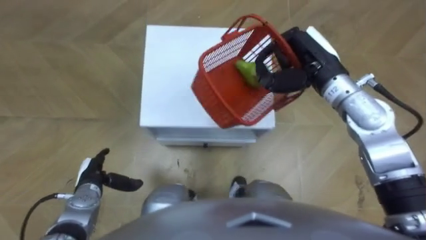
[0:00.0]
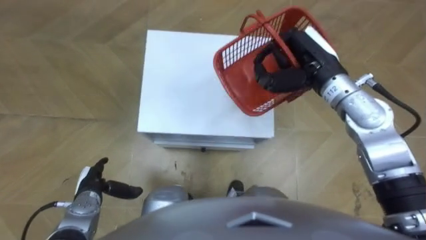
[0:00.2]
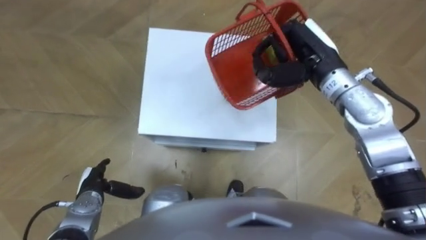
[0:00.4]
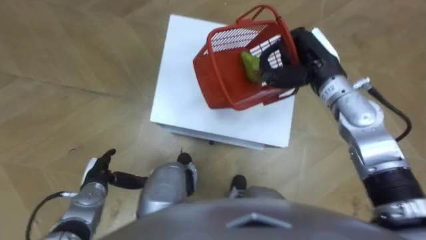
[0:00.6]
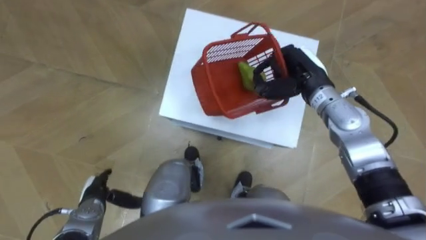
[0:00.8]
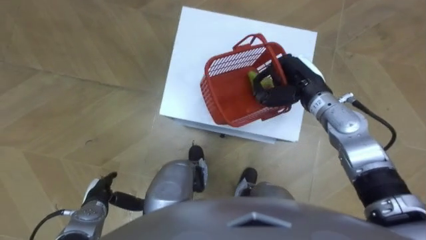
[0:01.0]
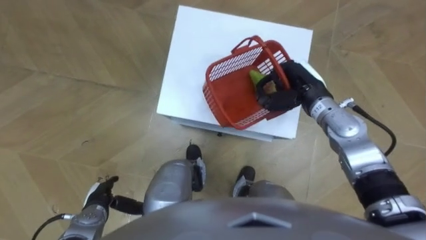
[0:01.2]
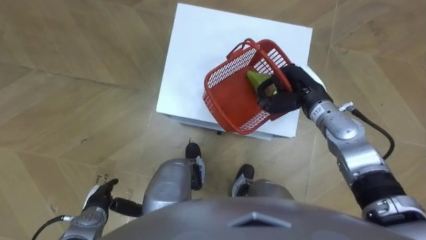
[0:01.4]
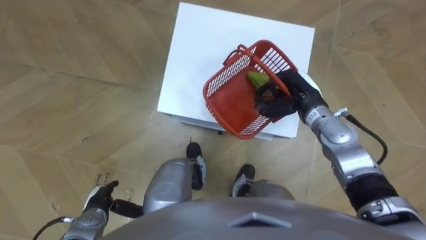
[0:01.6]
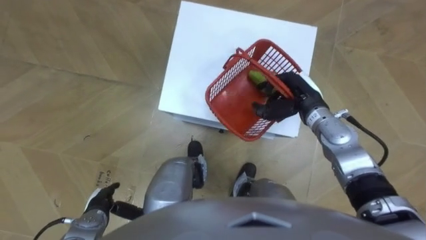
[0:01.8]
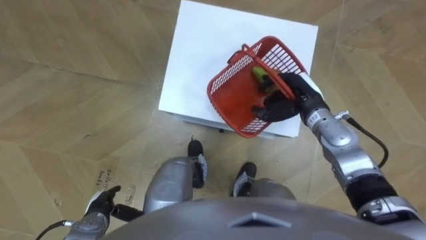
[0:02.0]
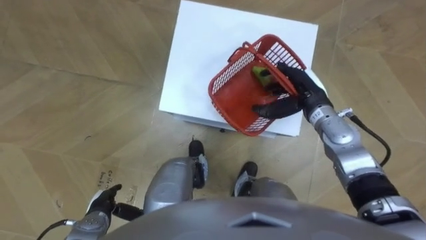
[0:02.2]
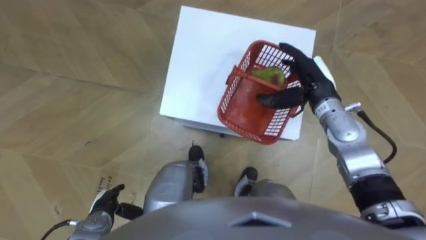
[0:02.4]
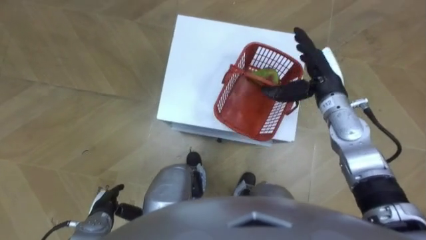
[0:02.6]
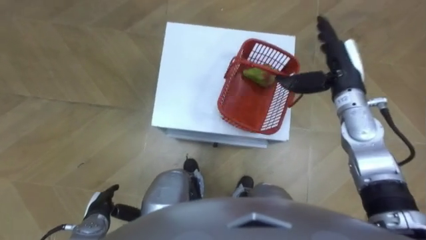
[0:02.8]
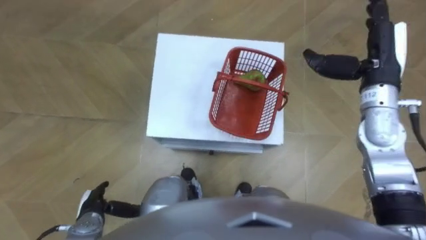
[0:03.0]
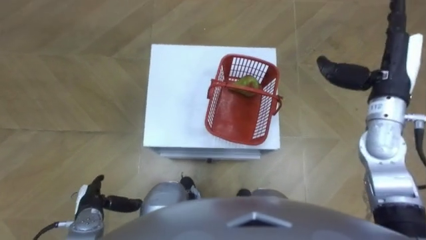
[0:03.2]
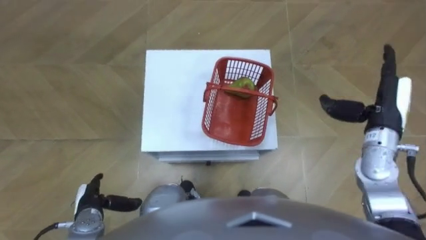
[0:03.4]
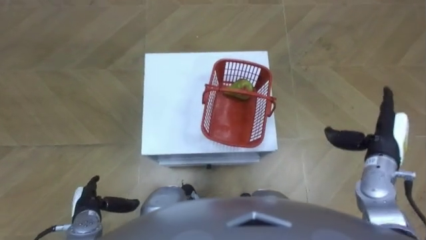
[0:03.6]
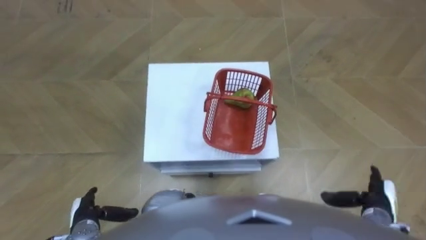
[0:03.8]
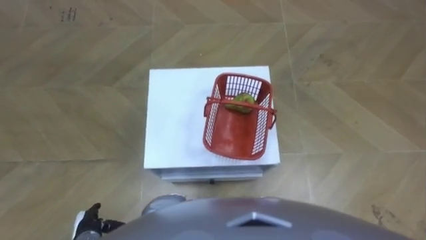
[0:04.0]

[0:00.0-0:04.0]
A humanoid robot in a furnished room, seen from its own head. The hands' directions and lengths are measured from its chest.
Task of the whole recording: Pick up the fruit basket from the floor and place it on the cabinet.
0:00.0 to 0:01.4: The right hand shifts roughly 10 cm downward. Meanwhile the left hand is displaced backward by approximately 5 cm.
0:01.4 to 0:02.6: The right hand opens up.

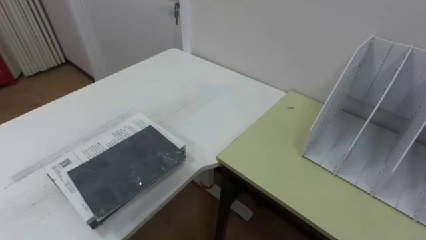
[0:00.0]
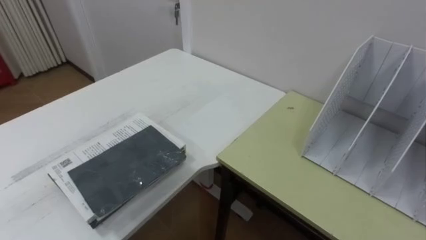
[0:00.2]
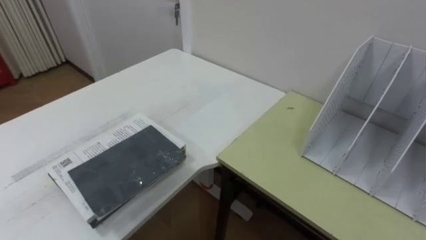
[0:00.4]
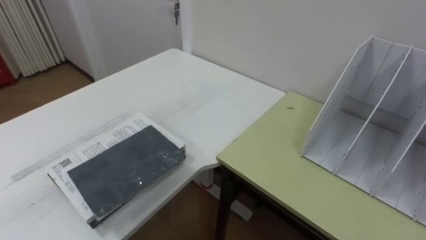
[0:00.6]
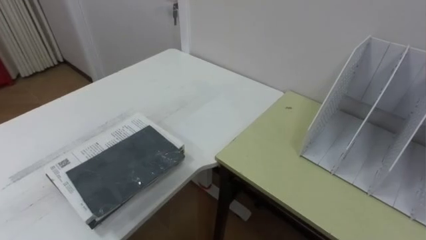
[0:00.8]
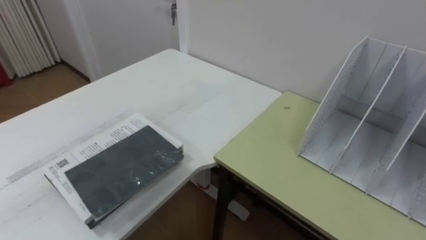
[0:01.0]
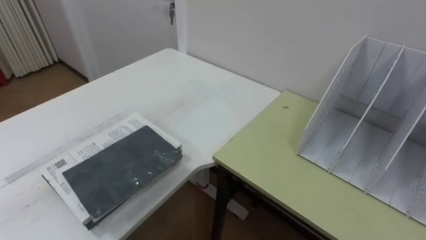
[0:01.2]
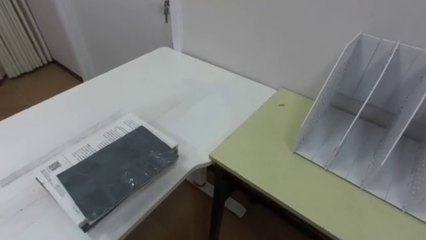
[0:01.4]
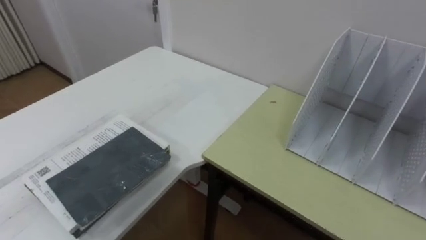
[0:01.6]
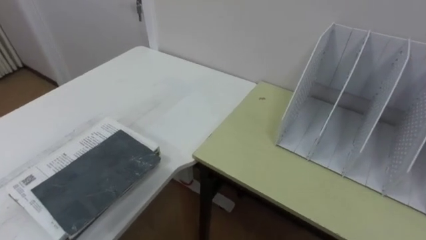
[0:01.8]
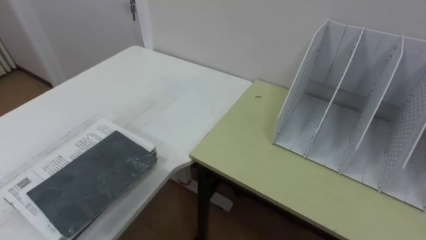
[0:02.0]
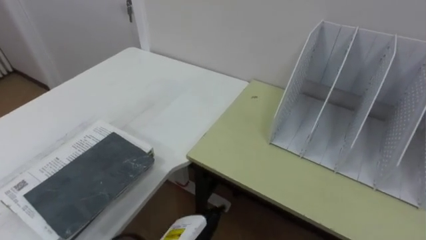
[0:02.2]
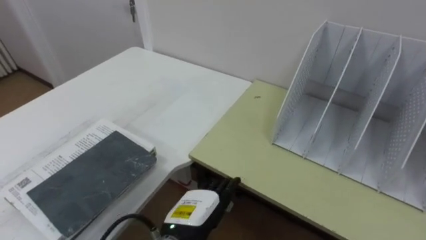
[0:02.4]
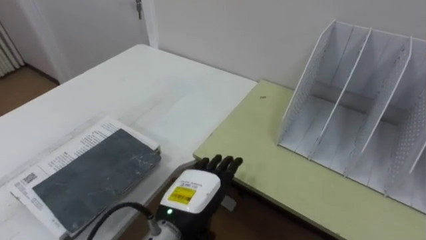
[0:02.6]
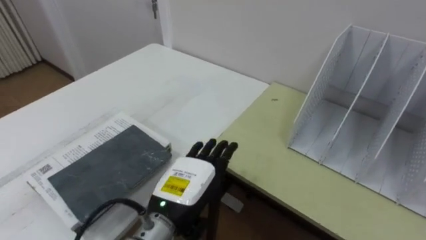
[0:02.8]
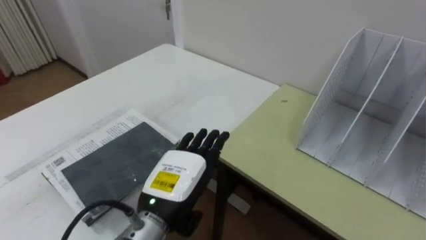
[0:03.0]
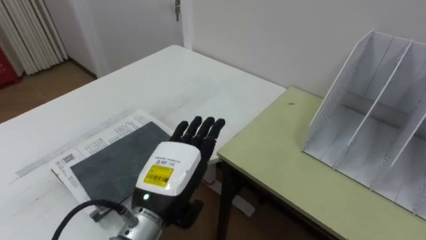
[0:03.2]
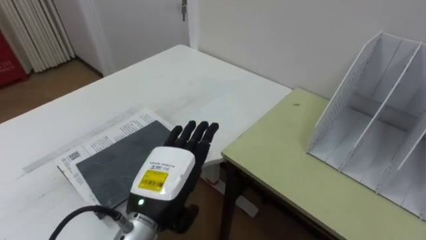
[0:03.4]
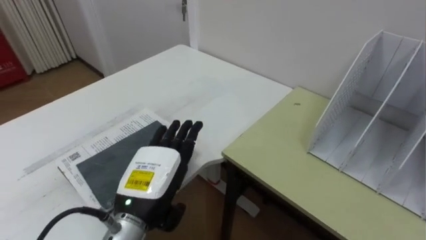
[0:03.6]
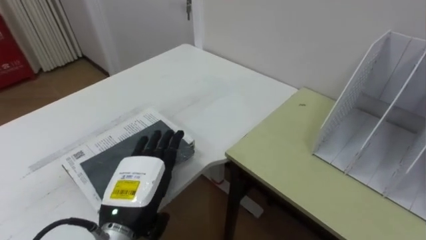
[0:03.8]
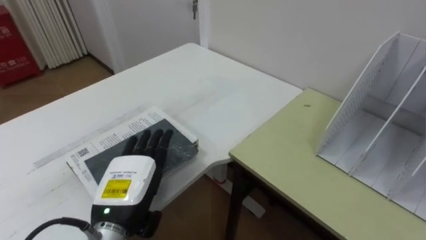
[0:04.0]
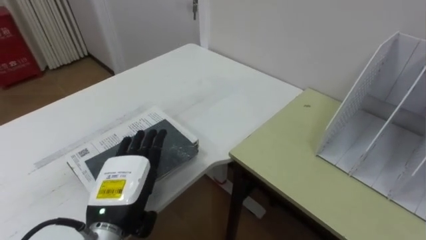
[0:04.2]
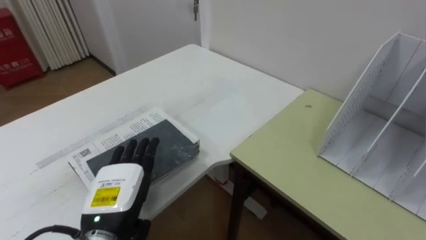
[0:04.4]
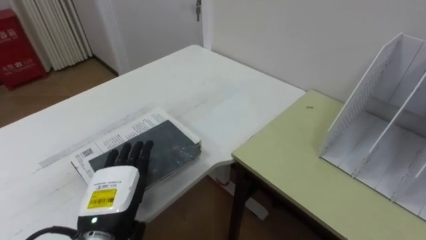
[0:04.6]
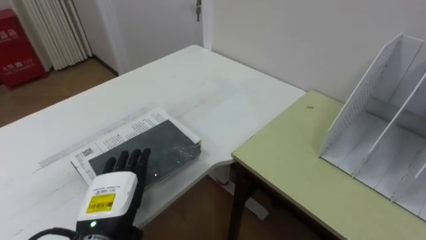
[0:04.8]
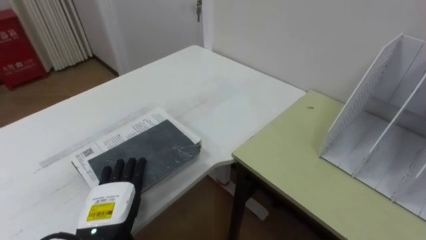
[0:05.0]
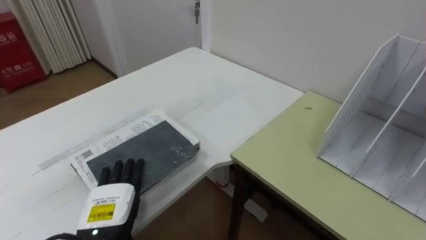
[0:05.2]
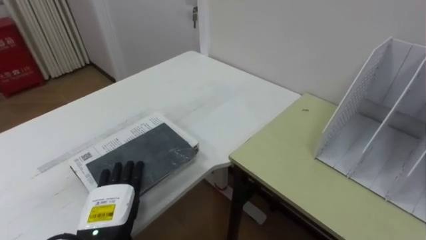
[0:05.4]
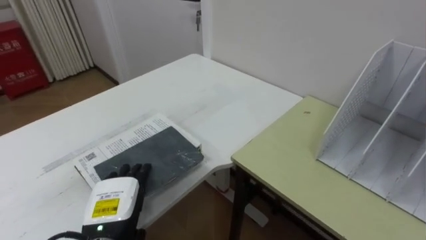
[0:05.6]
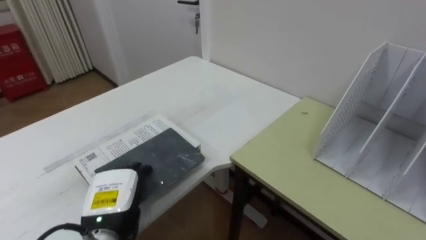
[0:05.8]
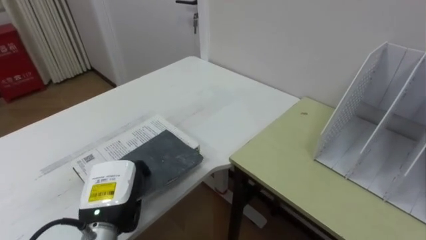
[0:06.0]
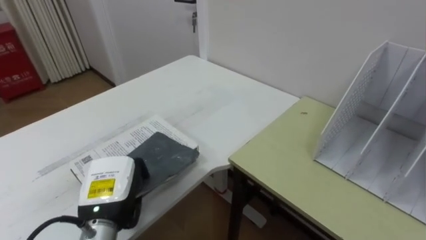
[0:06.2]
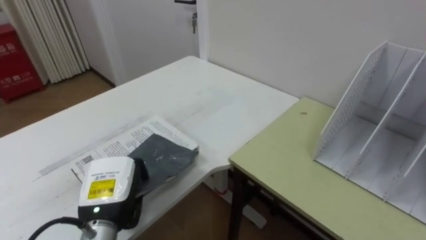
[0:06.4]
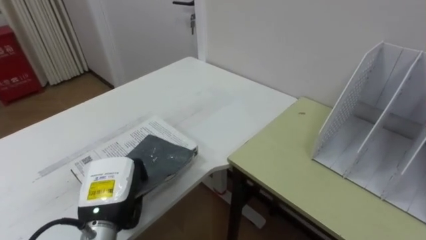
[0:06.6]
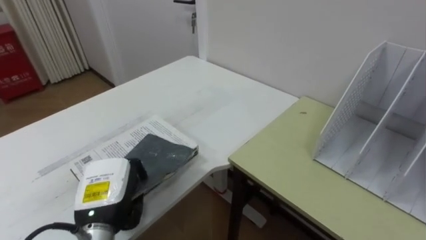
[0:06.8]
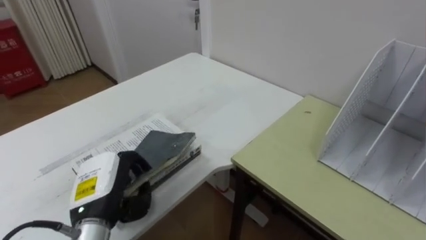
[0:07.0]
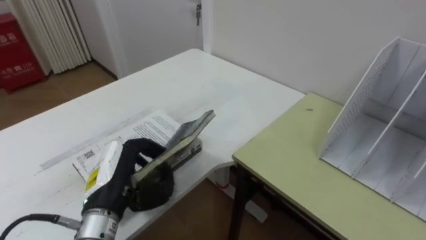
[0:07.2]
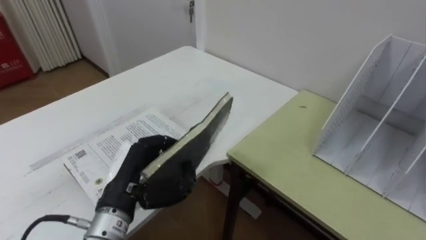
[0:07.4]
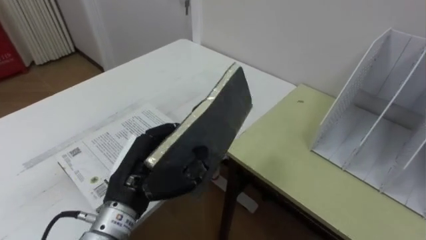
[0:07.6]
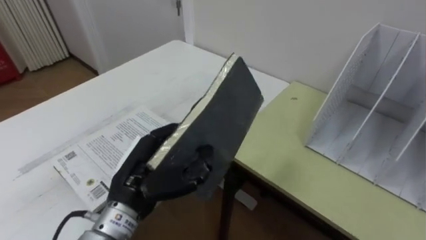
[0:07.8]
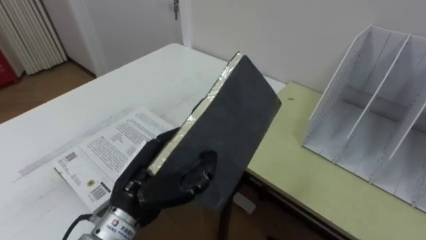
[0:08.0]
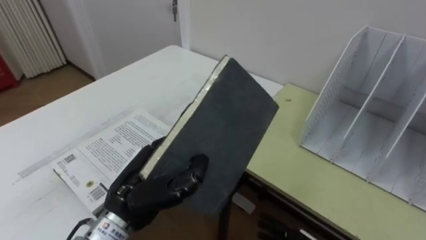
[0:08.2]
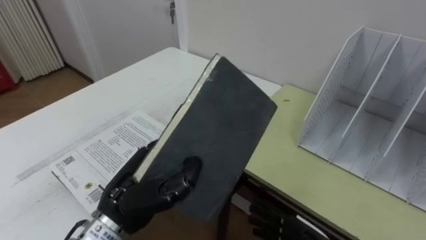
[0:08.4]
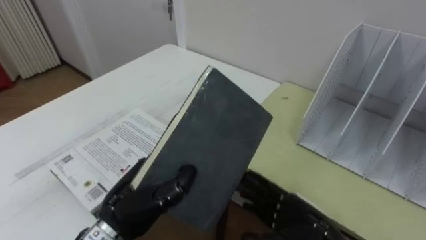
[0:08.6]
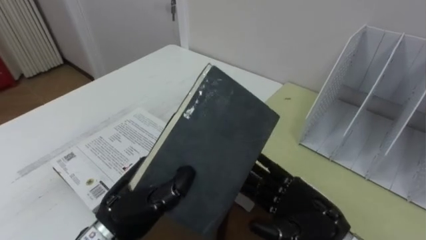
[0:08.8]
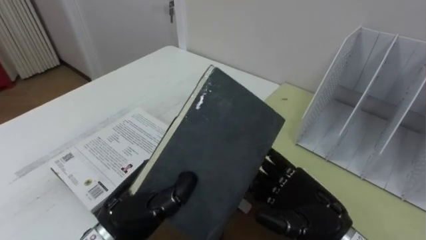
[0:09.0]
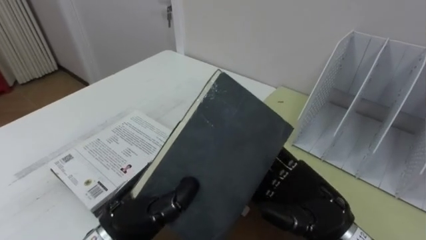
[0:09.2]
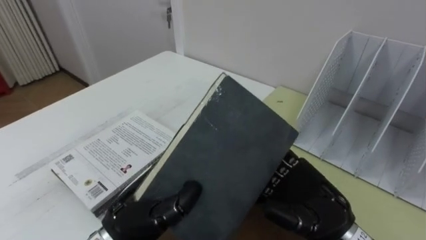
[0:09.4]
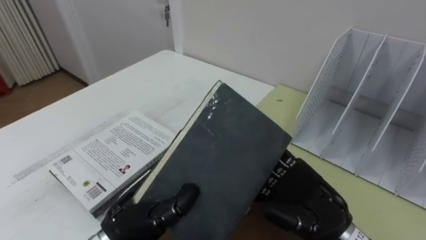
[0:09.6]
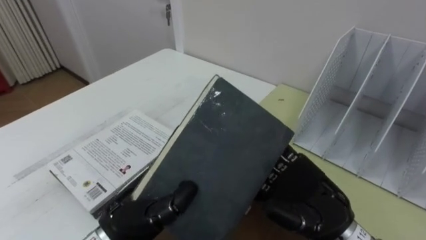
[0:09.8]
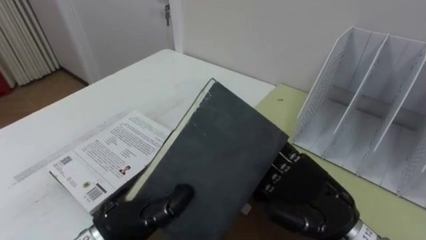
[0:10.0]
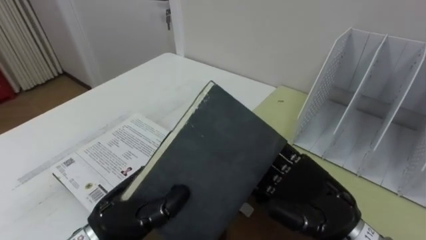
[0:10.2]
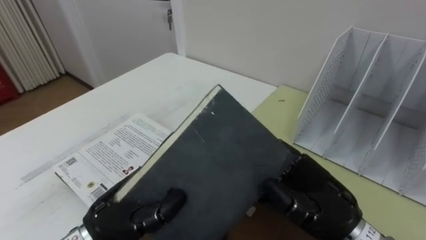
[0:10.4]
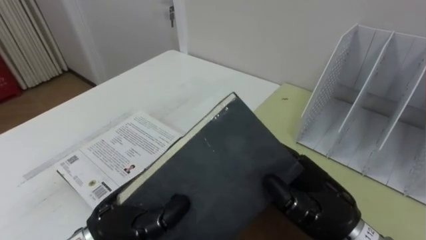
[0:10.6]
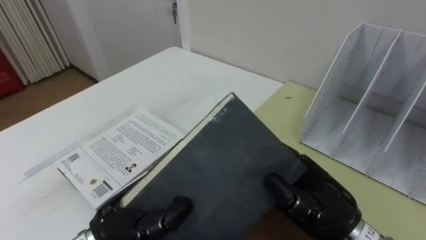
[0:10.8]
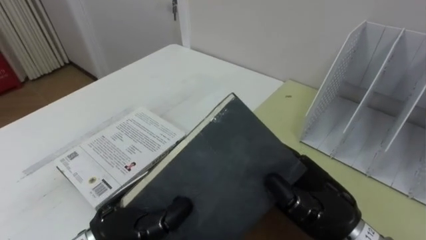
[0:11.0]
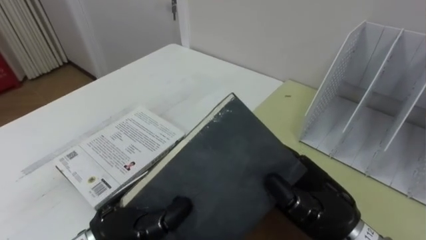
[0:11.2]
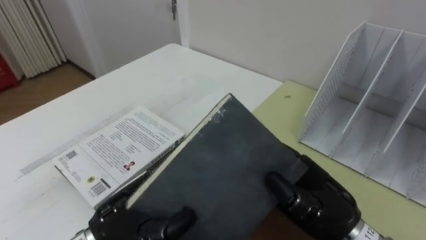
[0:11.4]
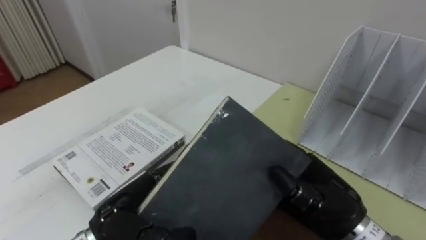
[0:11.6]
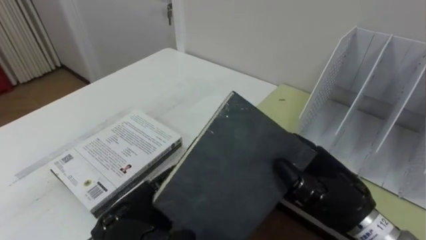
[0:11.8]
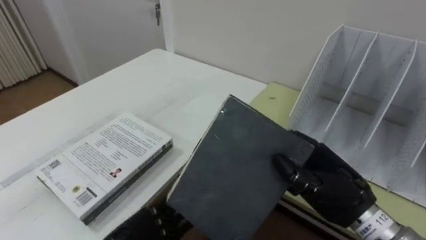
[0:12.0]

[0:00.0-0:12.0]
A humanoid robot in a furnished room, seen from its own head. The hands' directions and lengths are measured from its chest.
Task of the whole recording: Put the books on the table onto the bookshelf.
0:03.0 to 0:04.4: The left hand moves to the left, roughly 10 cm.
0:04.4 to 0:06.0: The left hand closes up.
0:06.0 to 0:07.6: The left hand travels upward and to the right by some 10 cm.
0:09.0 to 0:10.4: The right hand closes up.
0:10.4 to 0:12.0: The left hand shifts approximately 10 cm downward, and opens its fingers.

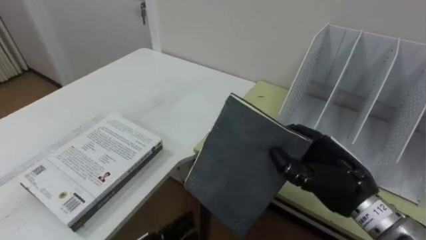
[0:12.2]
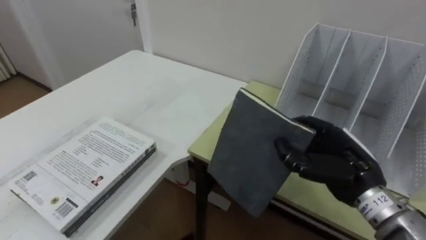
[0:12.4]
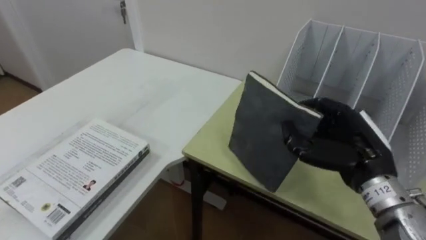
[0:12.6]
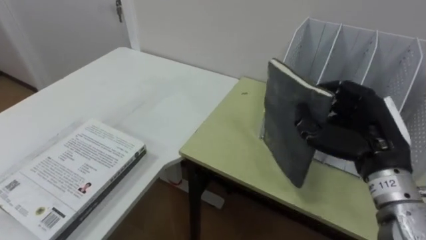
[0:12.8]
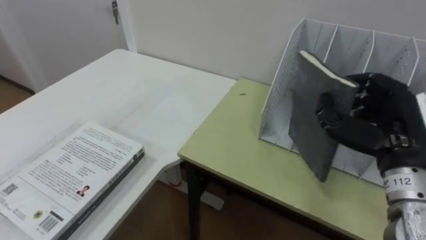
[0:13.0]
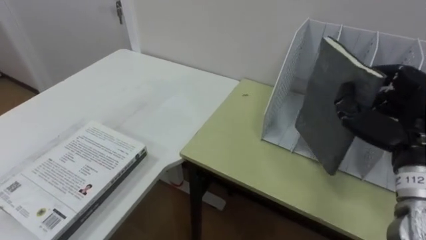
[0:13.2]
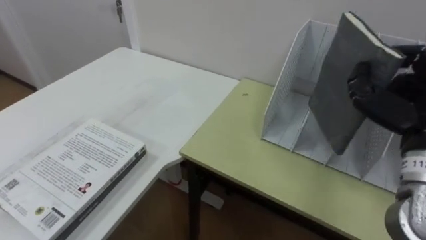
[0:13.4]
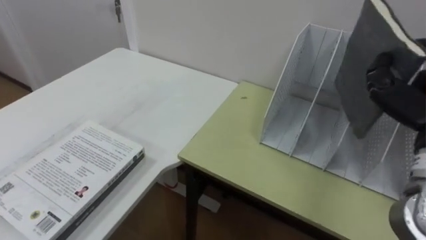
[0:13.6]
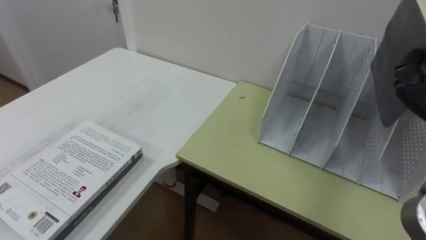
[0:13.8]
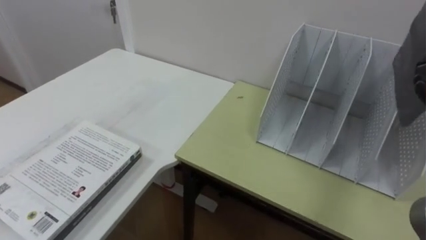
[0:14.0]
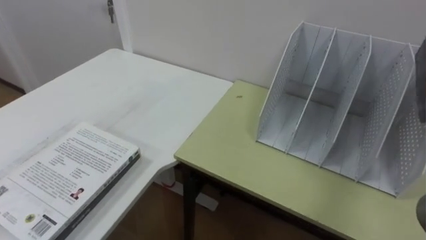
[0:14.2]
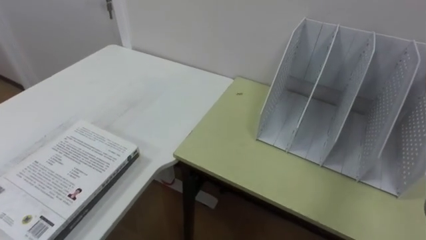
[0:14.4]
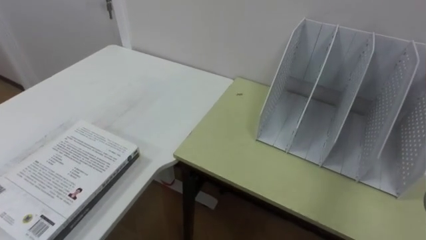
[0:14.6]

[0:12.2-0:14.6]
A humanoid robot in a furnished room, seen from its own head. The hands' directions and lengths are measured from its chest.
Task of the whole recording: Put the books on the table onto the bookshelf.
0:12.2 to 0:13.4: The right hand goes roughly 15 cm upward and to the right.
